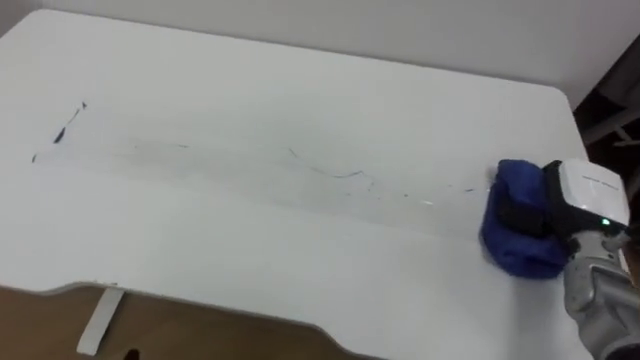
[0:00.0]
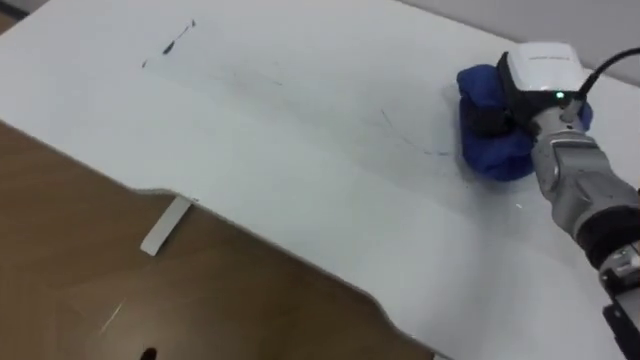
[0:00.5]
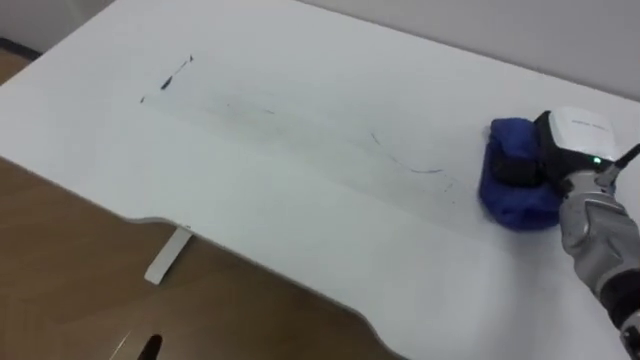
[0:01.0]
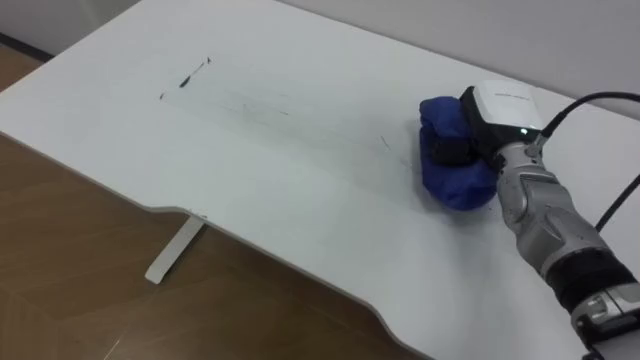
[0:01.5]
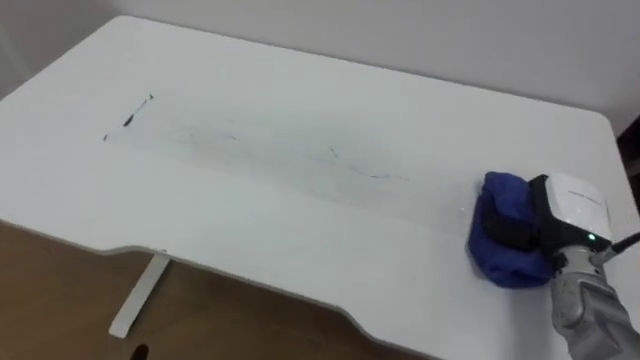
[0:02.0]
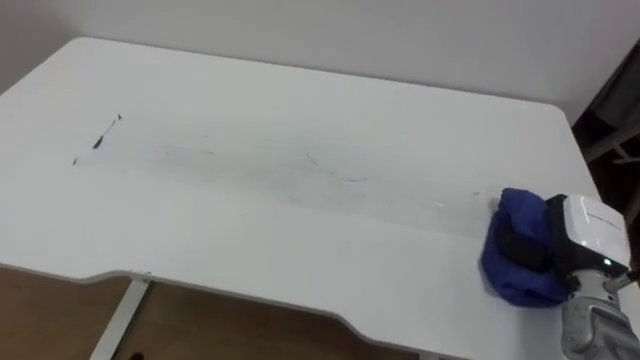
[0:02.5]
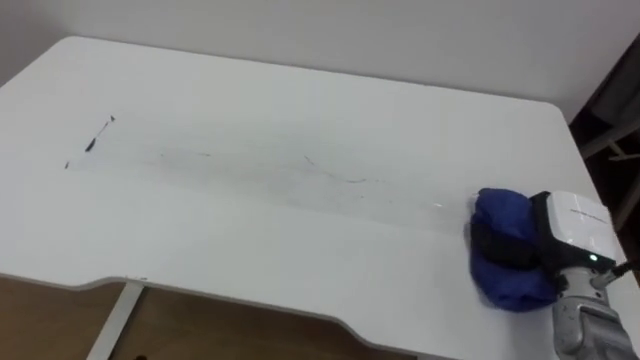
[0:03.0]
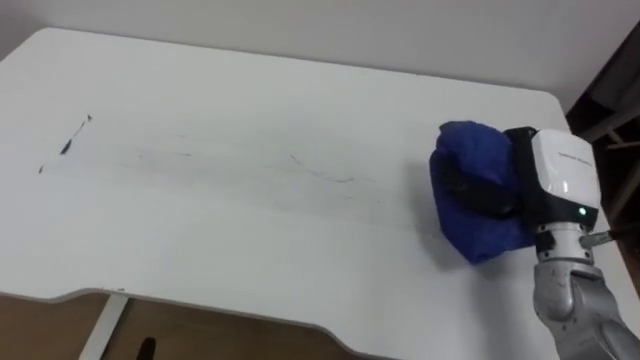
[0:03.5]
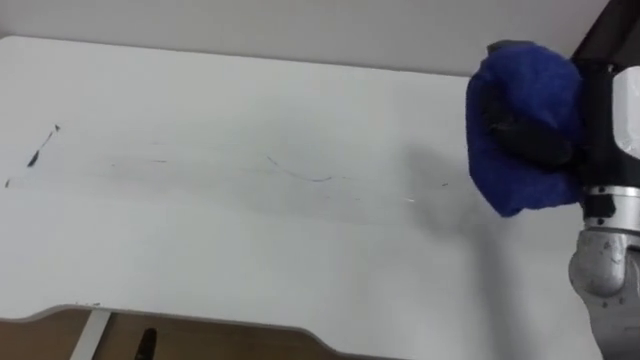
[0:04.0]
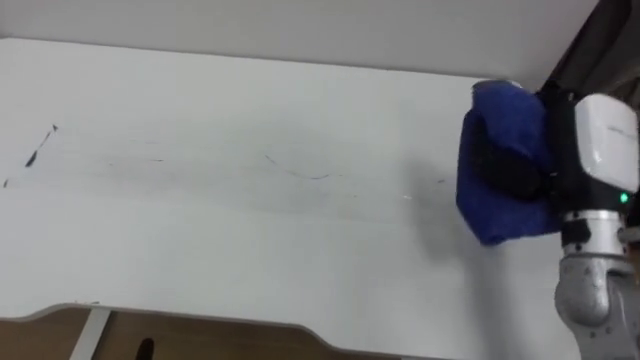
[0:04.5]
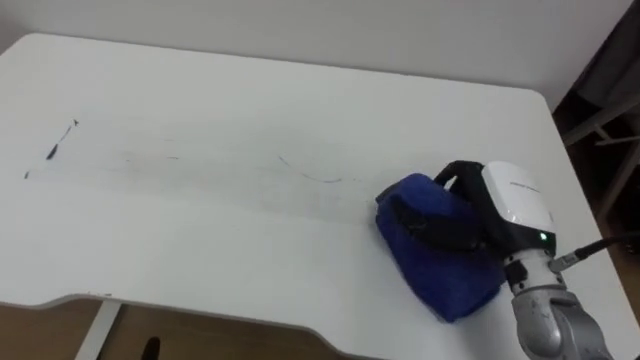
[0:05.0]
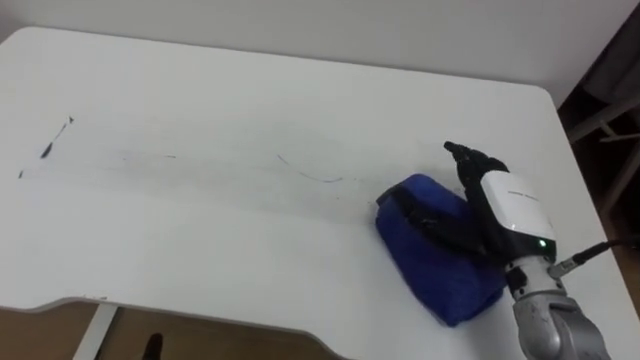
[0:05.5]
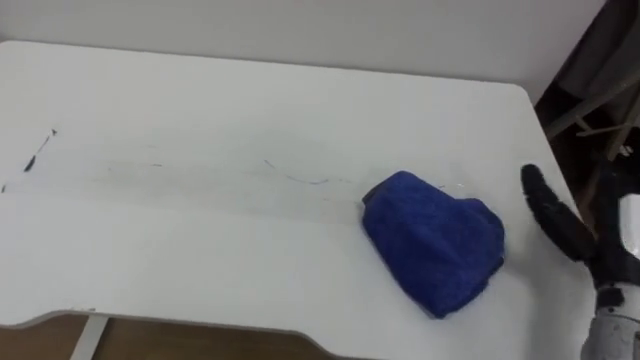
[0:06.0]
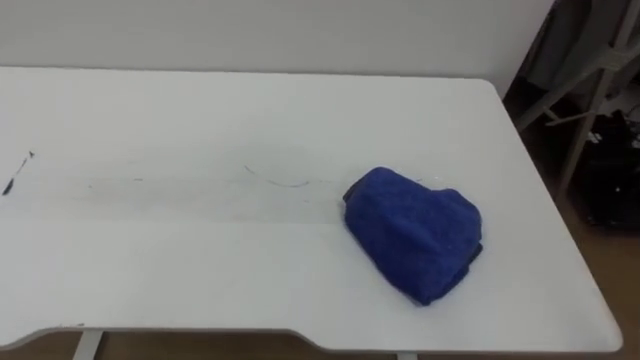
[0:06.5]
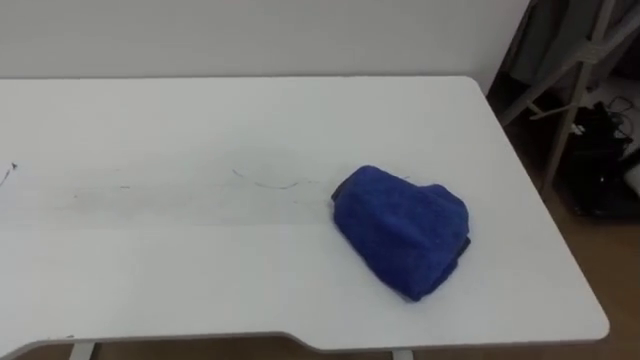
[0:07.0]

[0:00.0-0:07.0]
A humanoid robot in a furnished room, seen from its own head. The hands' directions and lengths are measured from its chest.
Task of the whole recording: Wipe the blue pen marks off the table with the rag.
0:00.0 to 0:02.0: The right hand goes forward and returns, approximately 10 cm each way.
0:02.0 to 0:03.5: The right hand goes roughly 10 cm upward and to the left.
0:03.5 to 0:05.0: The right hand goes upward and returns, roughly 10 cm each way, and opens.

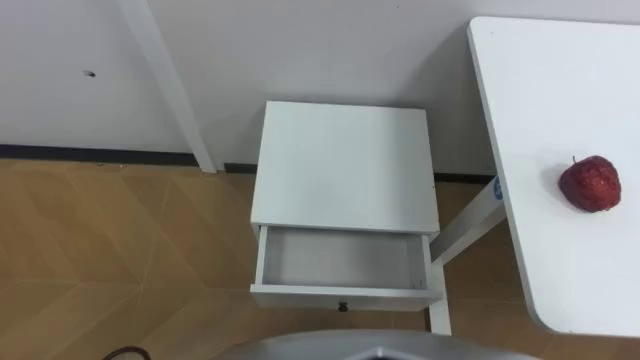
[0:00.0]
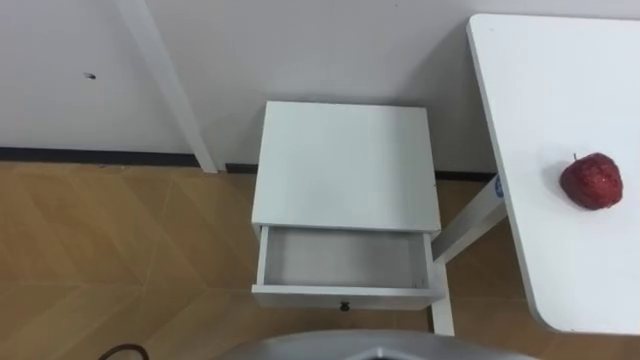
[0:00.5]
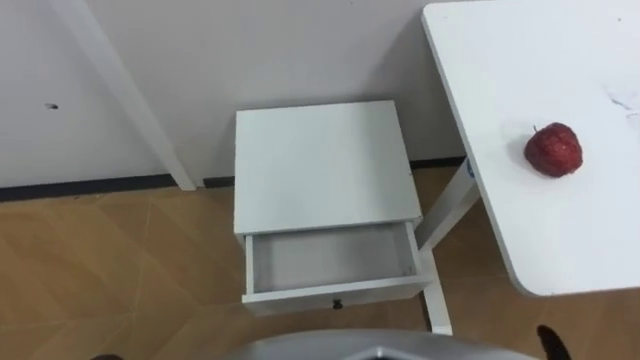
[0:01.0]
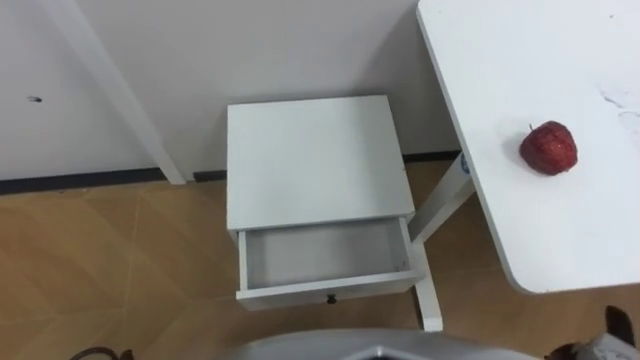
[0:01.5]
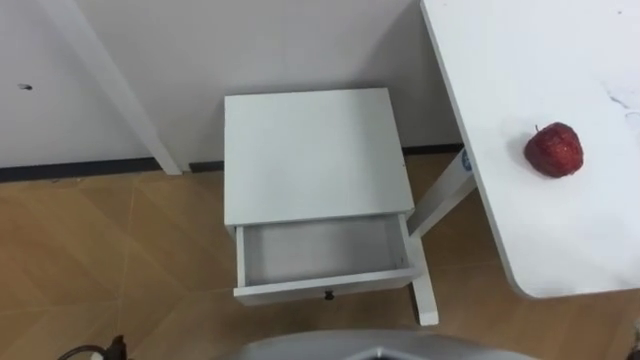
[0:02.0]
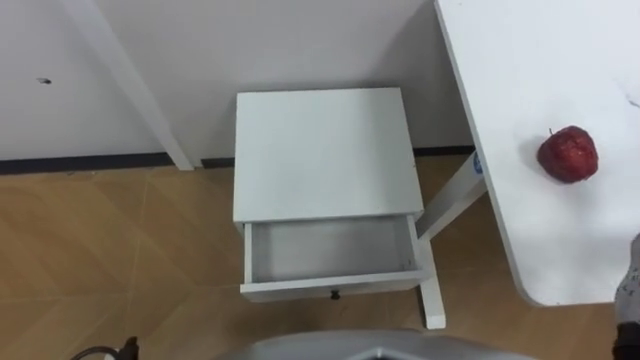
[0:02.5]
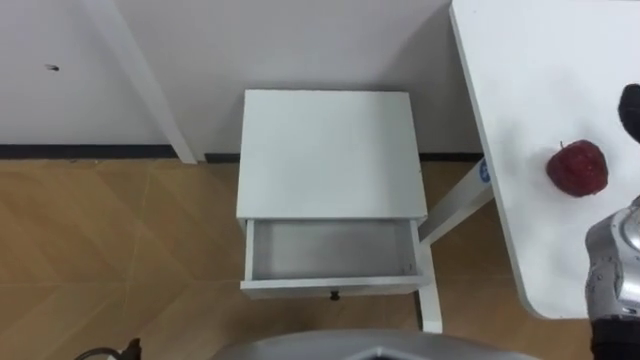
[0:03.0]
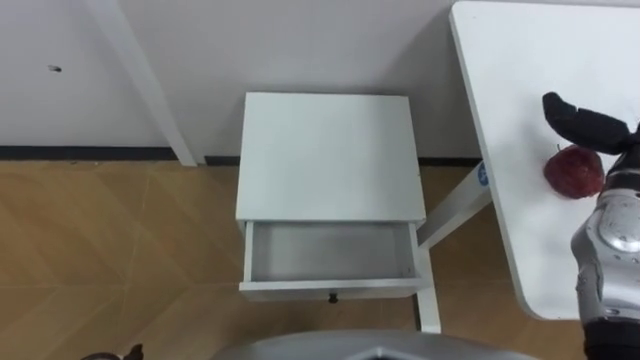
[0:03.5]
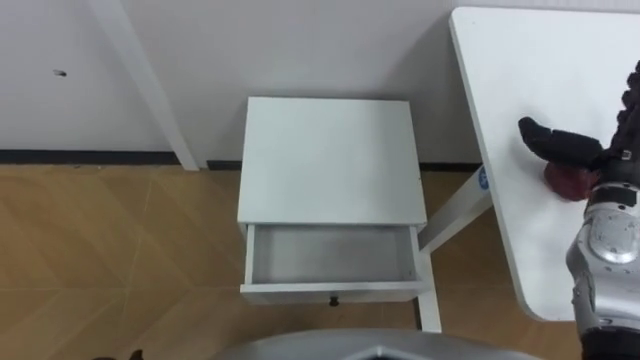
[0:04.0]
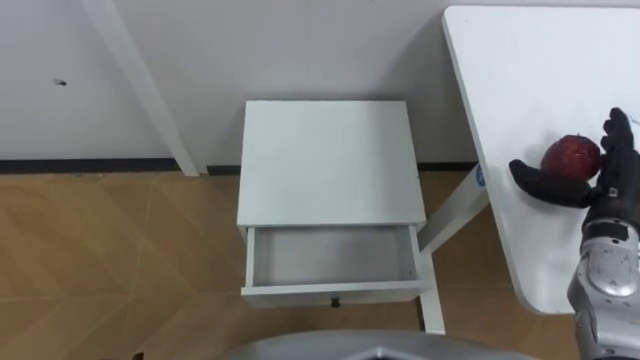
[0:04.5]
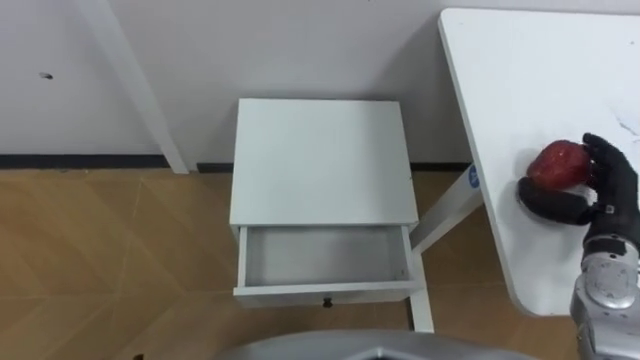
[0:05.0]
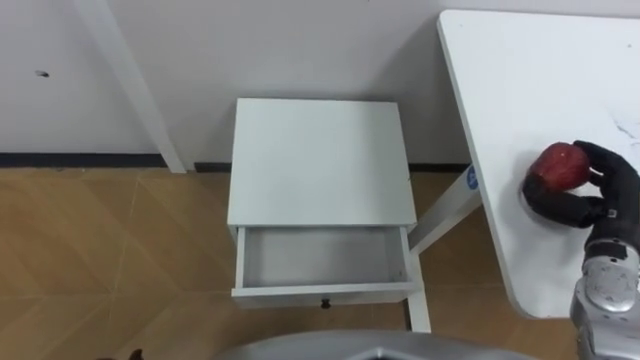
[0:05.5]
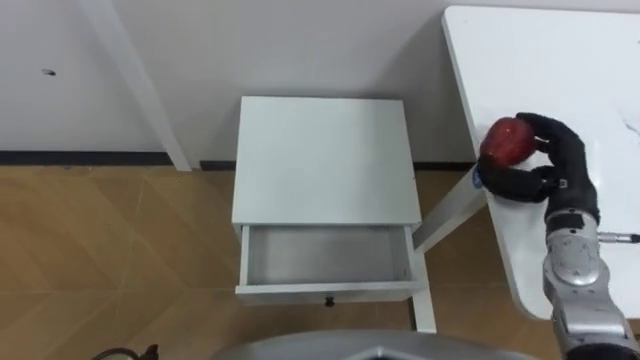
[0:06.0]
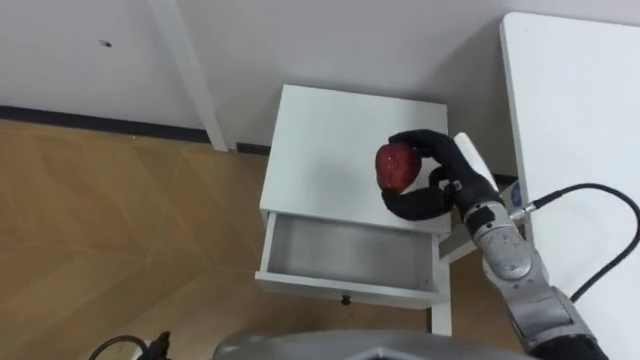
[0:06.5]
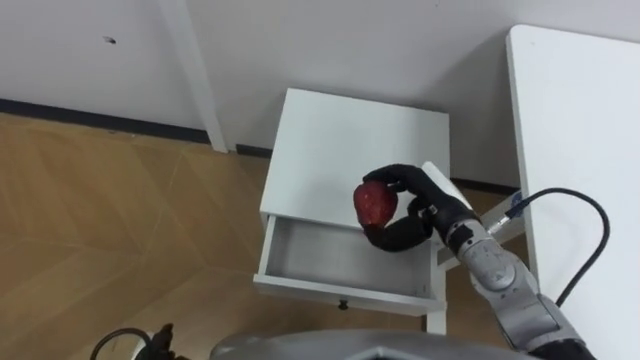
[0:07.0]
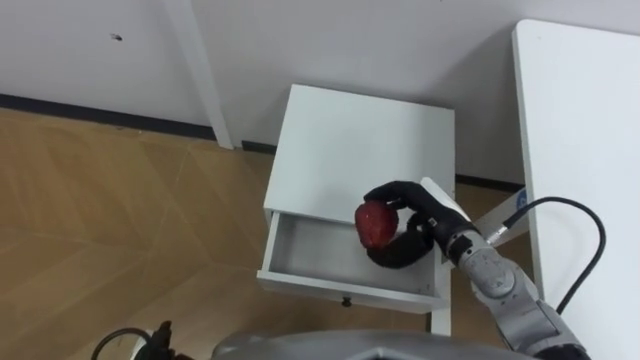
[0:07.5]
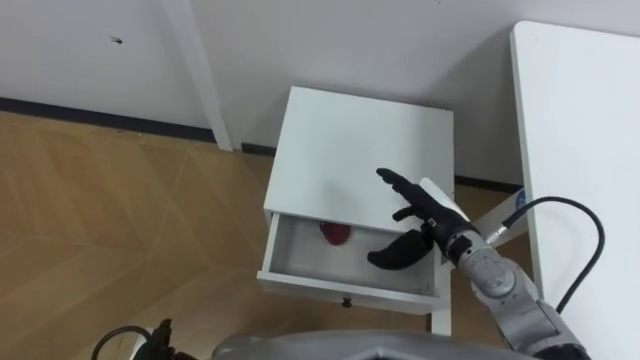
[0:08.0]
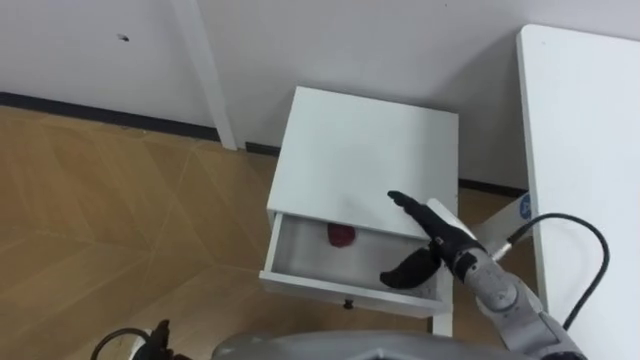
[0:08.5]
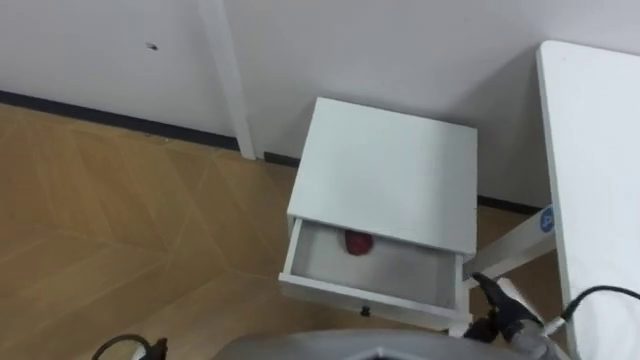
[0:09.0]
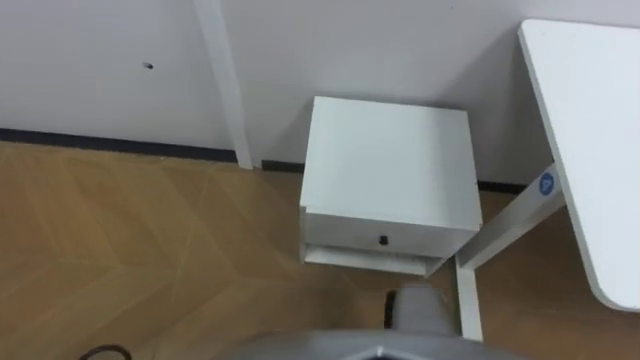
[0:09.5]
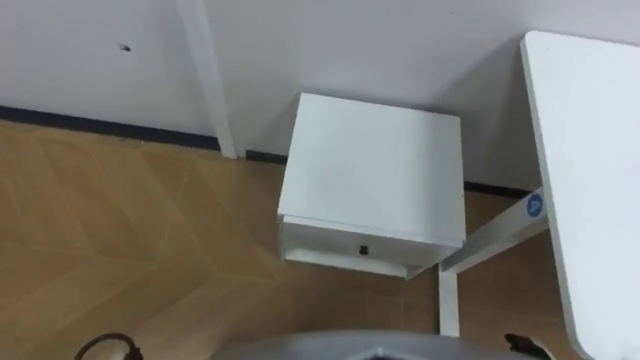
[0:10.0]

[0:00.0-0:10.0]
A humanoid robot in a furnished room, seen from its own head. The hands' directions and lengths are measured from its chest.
Task of the whole recording: Pick up the apple from the table, put it in the drawer, and close the drawer with leg.
0:04.0 to 0:06.0: The right hand travels downward by roughly 5 cm, and closes its fingers.
0:06.0 to 0:08.0: The right hand heads to the left, covering approximately 15 cm, and opens its fingers.

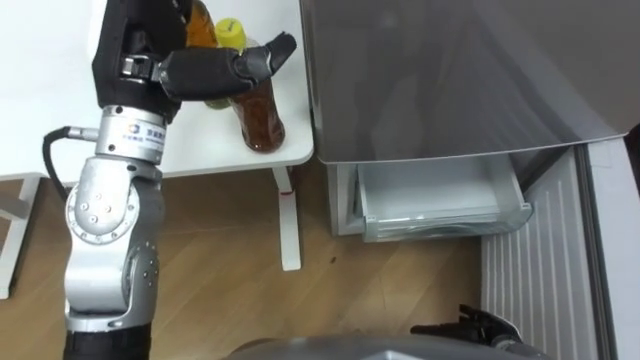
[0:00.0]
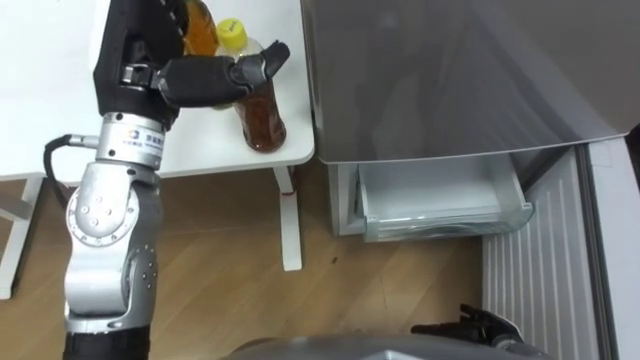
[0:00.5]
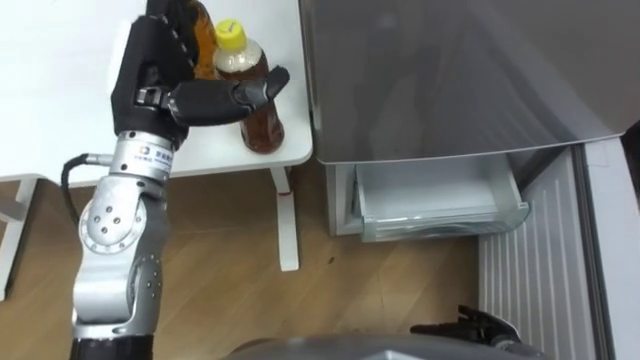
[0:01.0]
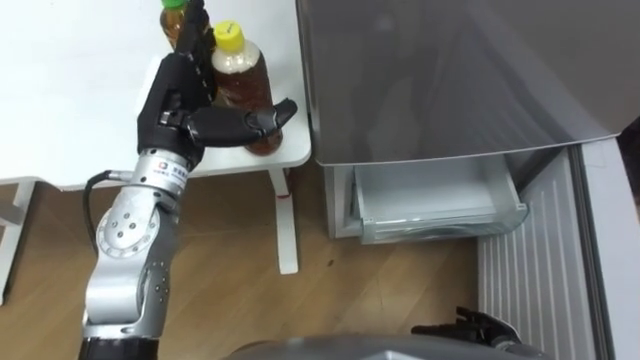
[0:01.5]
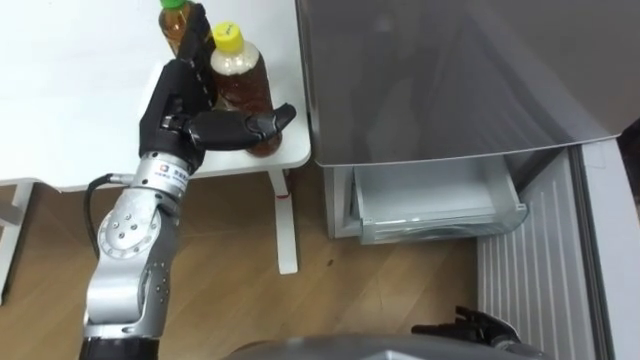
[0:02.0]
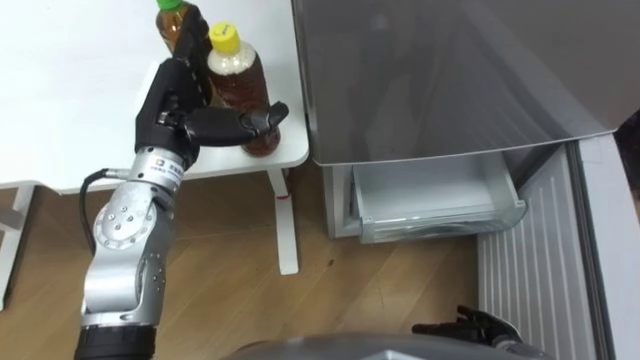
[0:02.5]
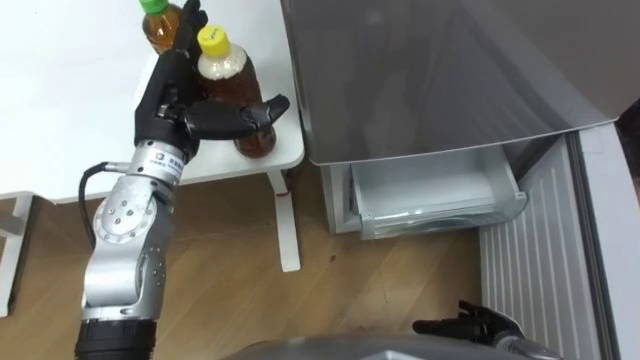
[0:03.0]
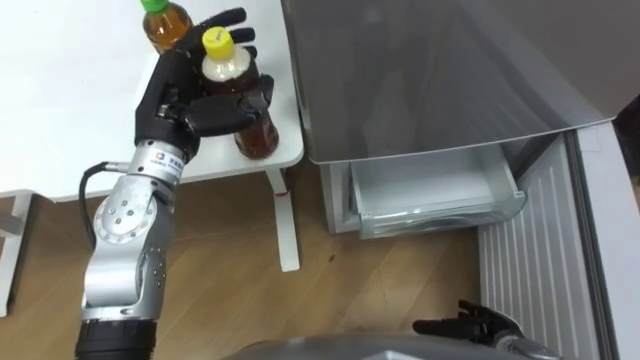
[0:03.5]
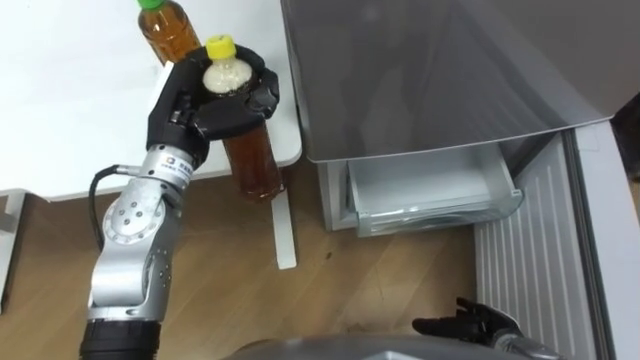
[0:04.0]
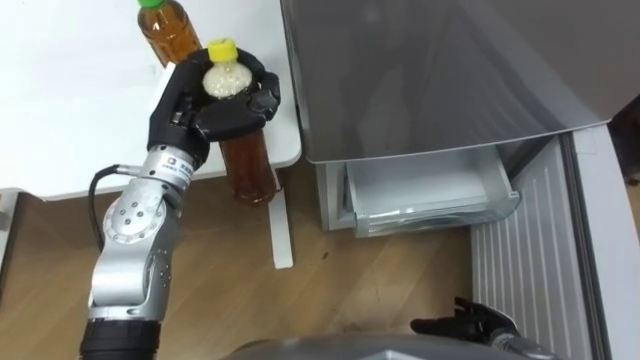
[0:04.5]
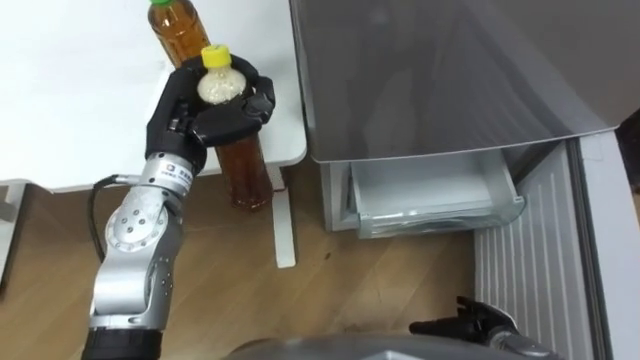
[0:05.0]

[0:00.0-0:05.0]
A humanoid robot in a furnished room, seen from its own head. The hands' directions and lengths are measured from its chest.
Task of the whole recording: Place the drink on the table on the bottom shelf of the refrigerator, then close the drawer and the refrigerator door.
0:00.0 to 0:02.5: The left hand goes some 10 cm downward.
0:02.5 to 0:05.0: The left hand closes up.
